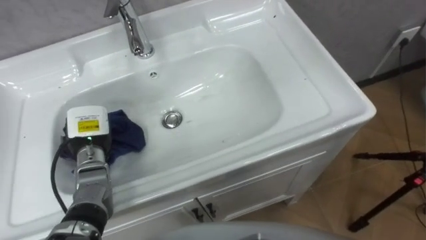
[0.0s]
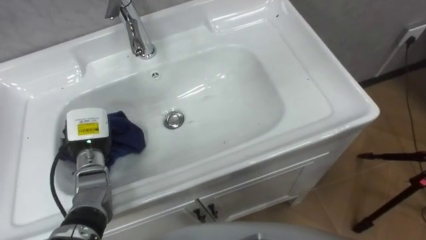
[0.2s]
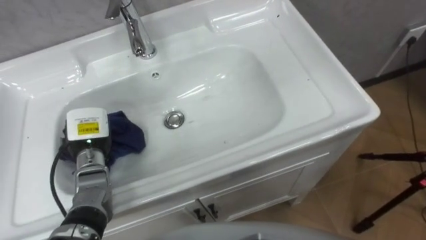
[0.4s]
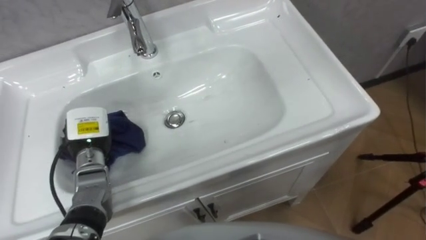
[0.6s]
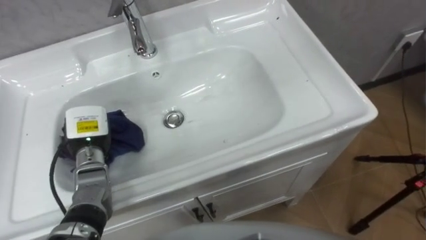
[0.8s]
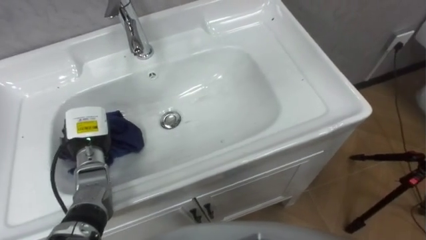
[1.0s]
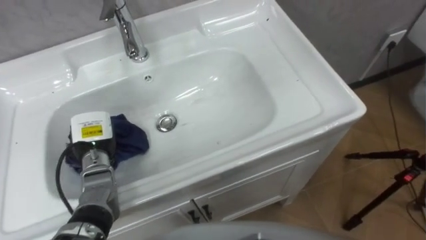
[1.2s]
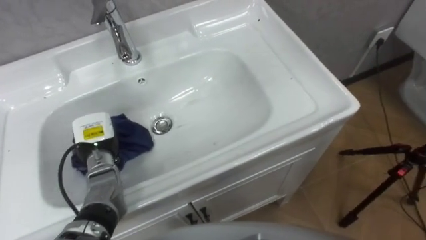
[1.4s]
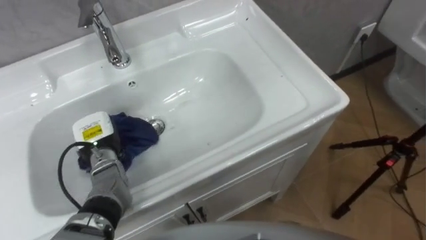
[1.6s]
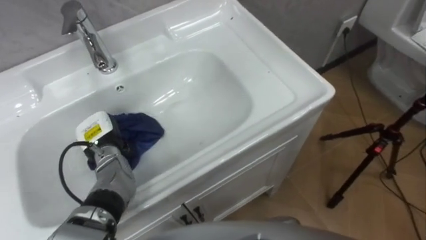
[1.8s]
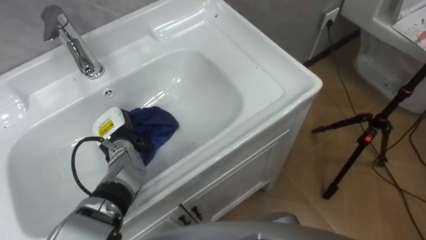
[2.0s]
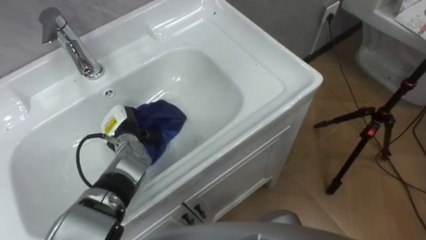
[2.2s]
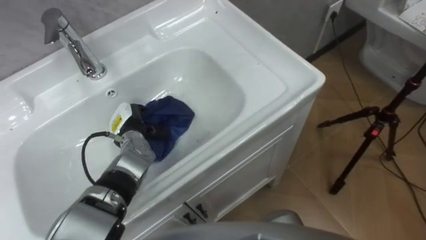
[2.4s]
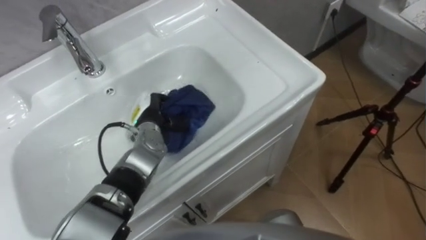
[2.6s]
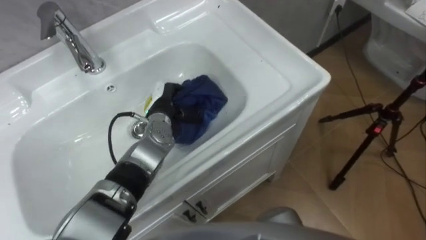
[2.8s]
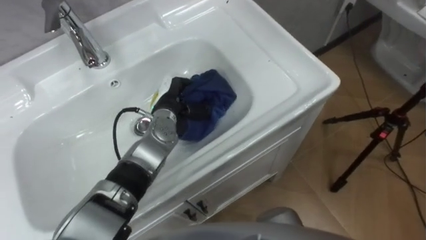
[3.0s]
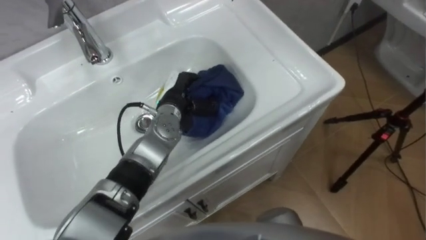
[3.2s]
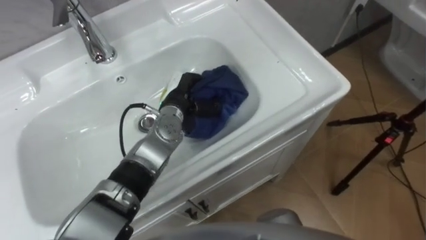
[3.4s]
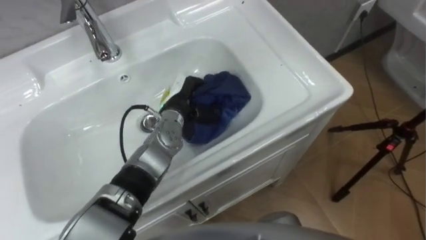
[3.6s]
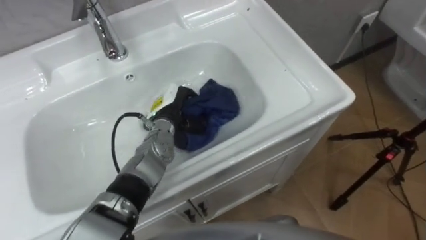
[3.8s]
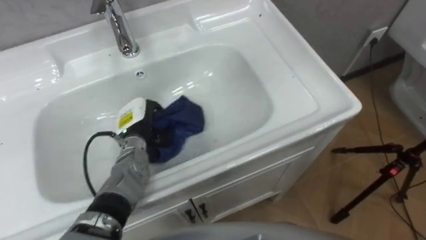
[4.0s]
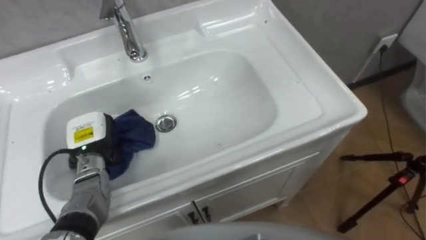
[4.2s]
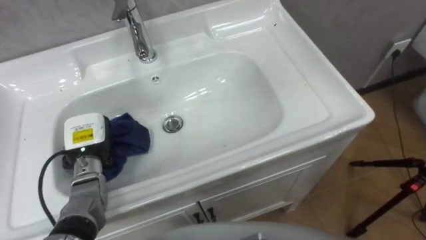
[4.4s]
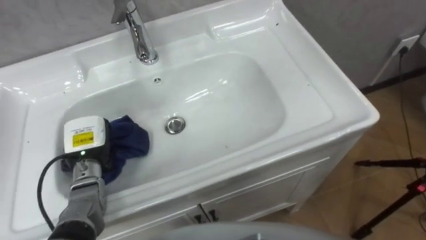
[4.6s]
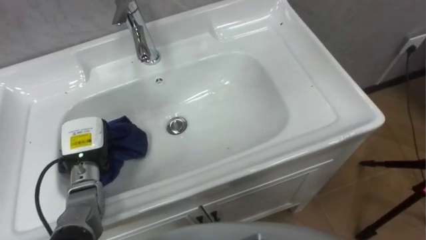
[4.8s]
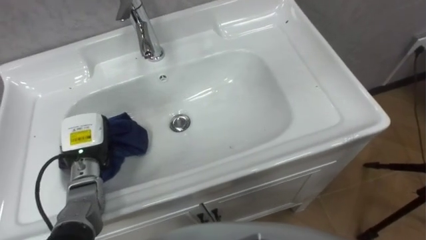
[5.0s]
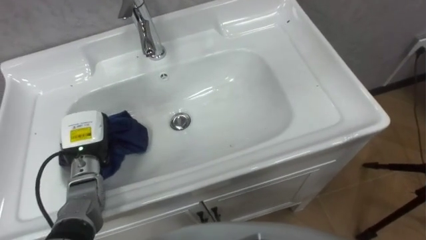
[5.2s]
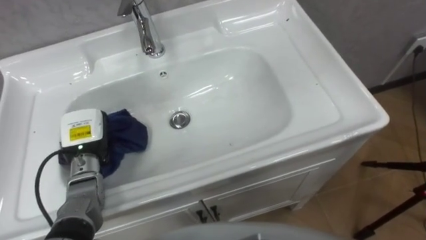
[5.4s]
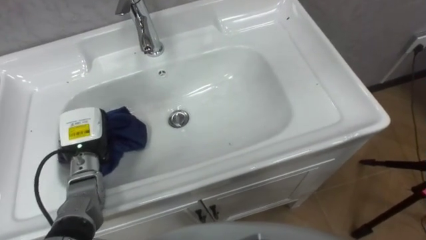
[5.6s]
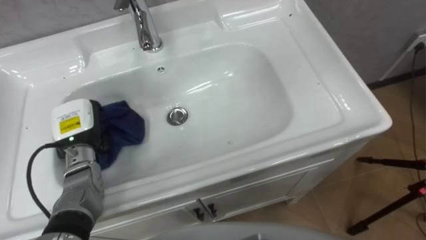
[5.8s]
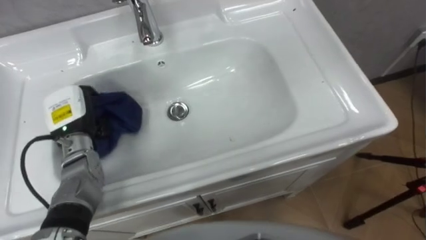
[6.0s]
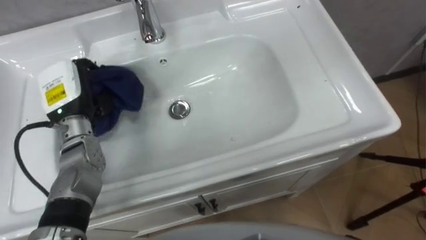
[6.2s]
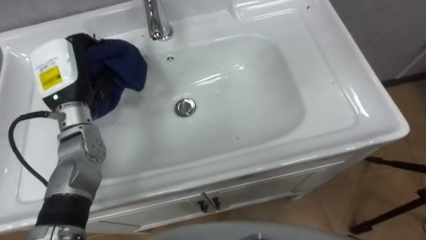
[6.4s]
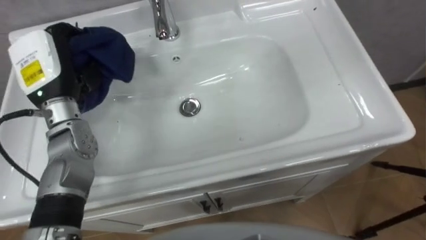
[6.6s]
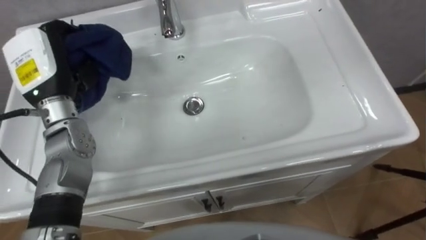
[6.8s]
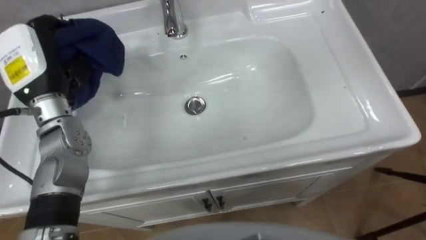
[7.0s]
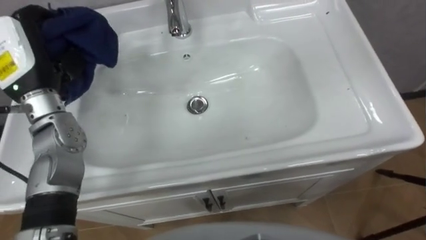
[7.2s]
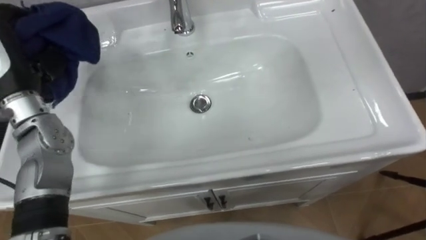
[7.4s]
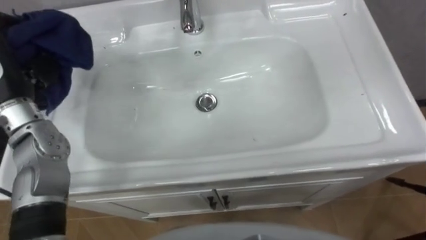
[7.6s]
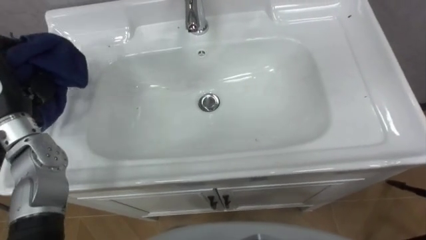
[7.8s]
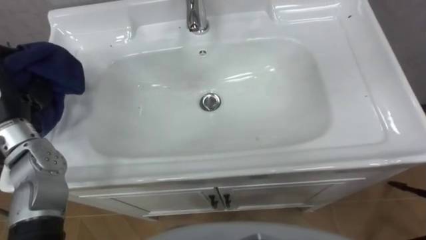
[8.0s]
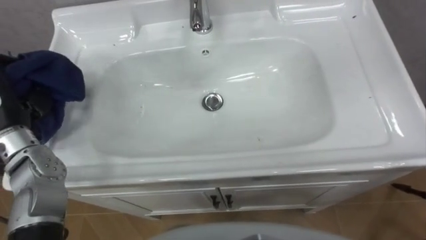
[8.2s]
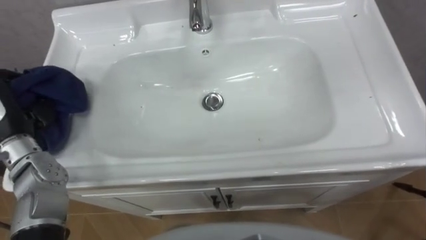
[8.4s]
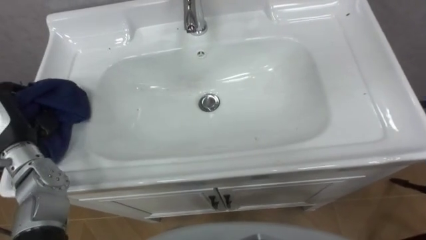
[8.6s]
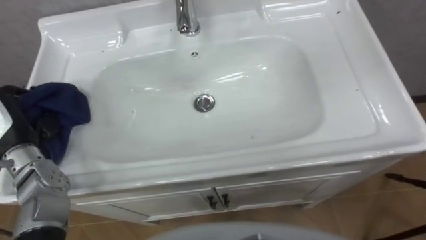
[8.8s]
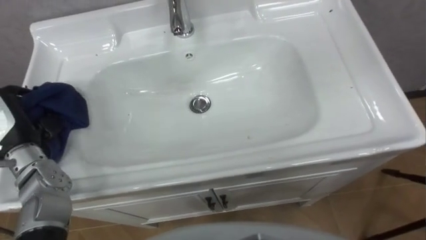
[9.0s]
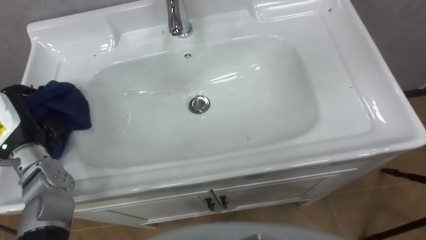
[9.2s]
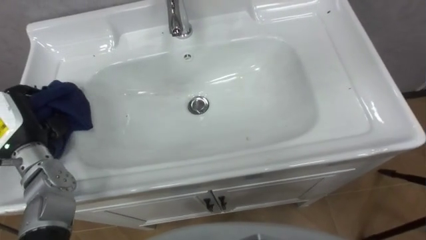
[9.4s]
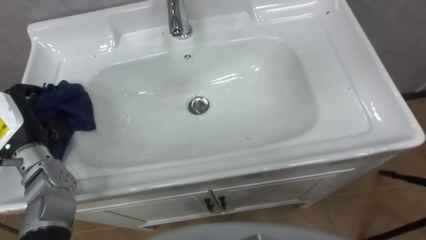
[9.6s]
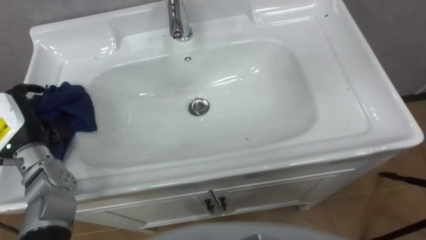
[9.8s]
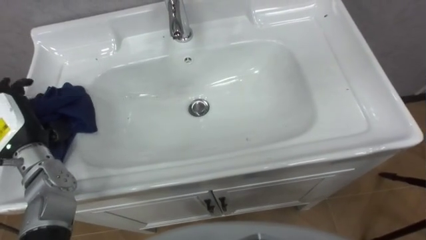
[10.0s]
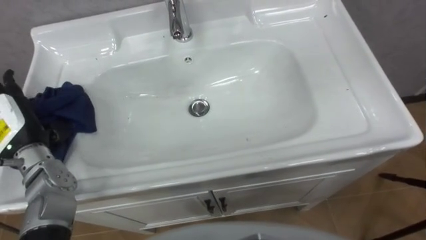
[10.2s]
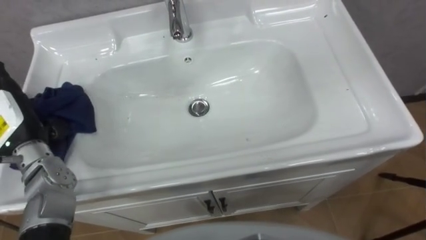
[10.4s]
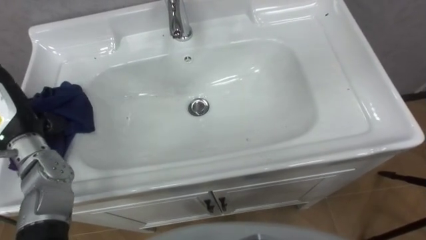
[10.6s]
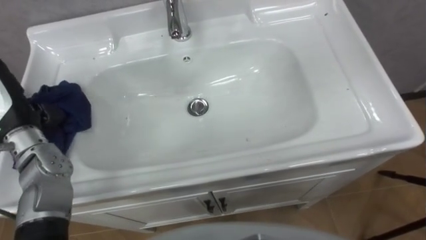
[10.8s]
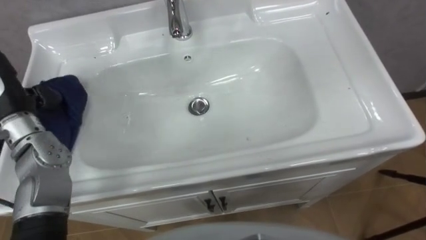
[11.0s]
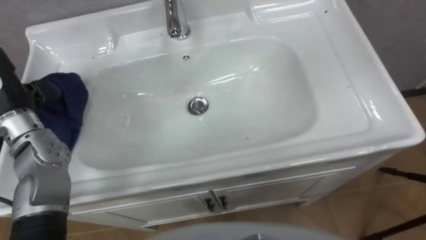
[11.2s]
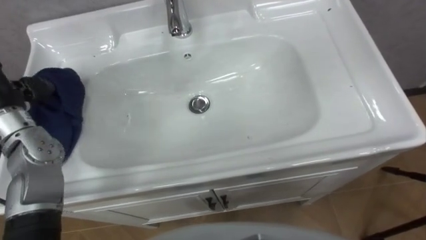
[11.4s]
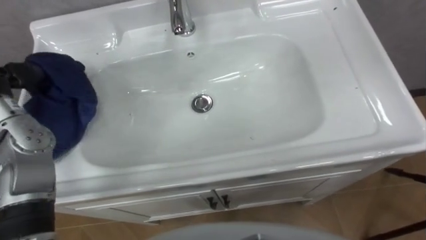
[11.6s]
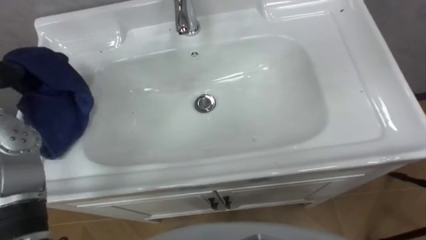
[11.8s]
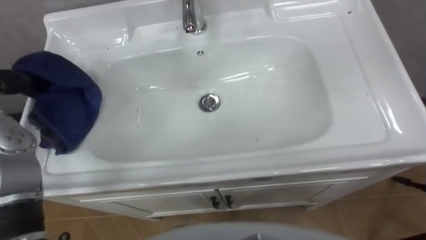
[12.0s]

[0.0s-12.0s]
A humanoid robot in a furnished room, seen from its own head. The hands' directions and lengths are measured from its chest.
Task of the whole recording: Use the cloth on the right to wipe away the black stain in the sink.
1.6s to 3.0s: The left hand moves to the right and forward, approximately 15 cm.
3.0s to 4.4s: The left hand goes roughly 20 cm to the left and backward.
4.4s to 6.0s: The left hand moves upward, about 5 cm.

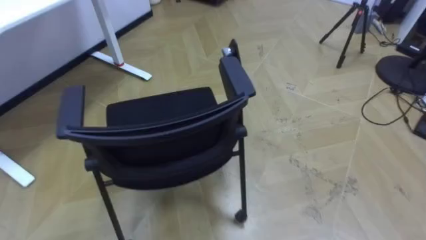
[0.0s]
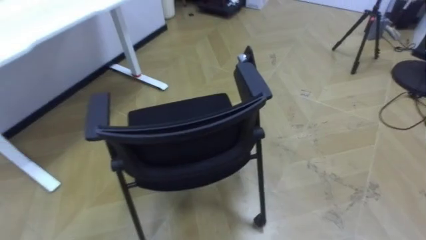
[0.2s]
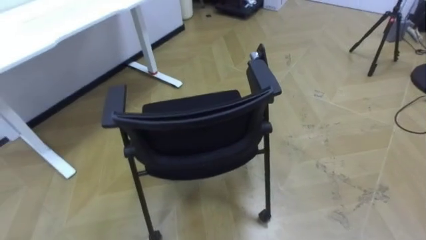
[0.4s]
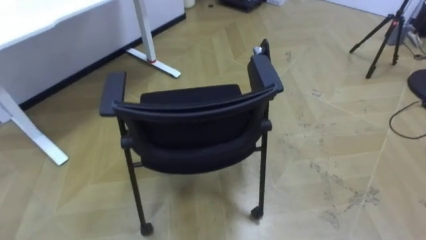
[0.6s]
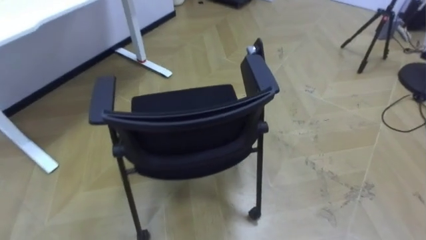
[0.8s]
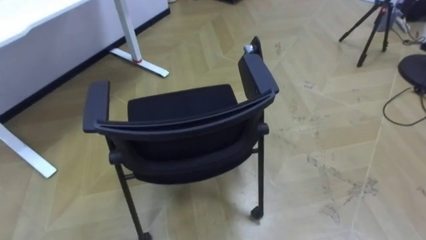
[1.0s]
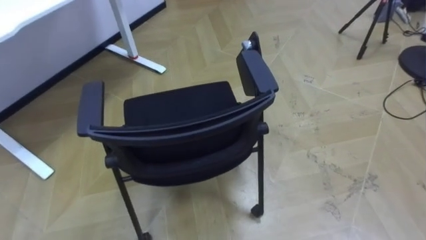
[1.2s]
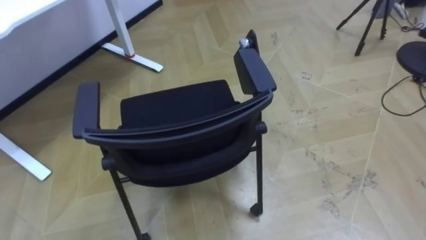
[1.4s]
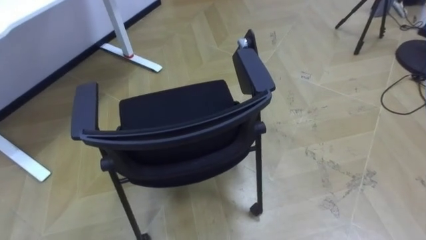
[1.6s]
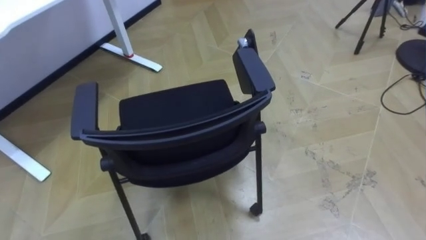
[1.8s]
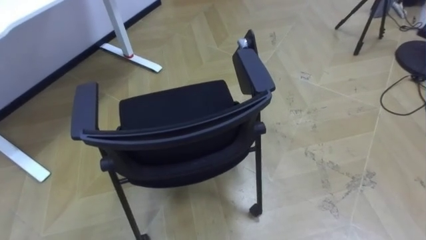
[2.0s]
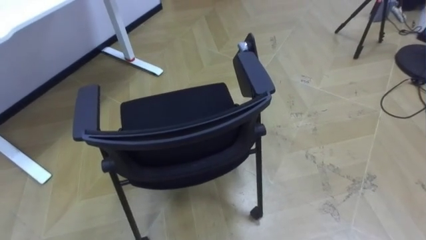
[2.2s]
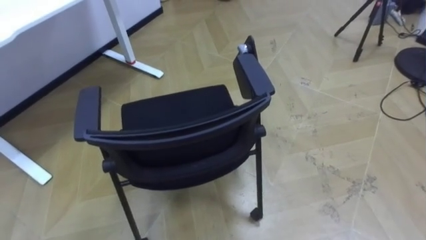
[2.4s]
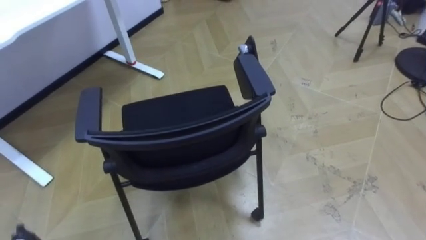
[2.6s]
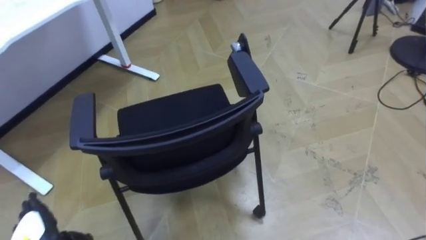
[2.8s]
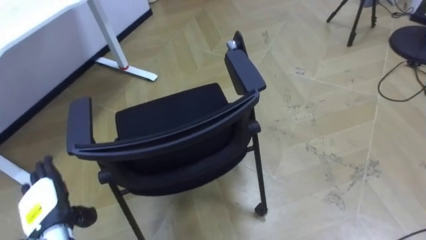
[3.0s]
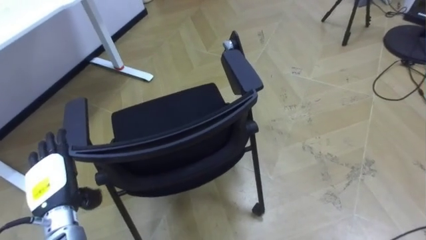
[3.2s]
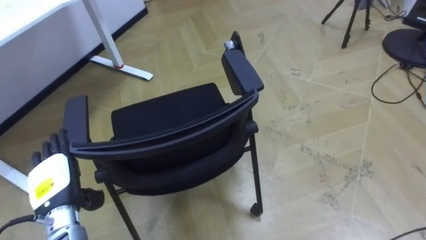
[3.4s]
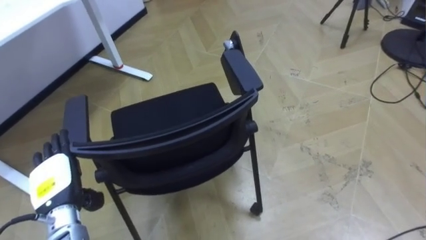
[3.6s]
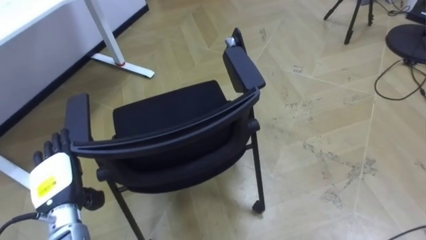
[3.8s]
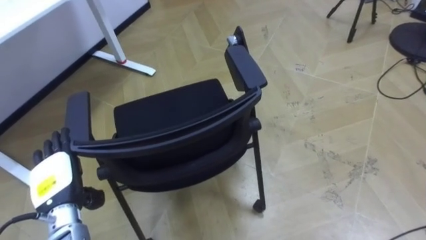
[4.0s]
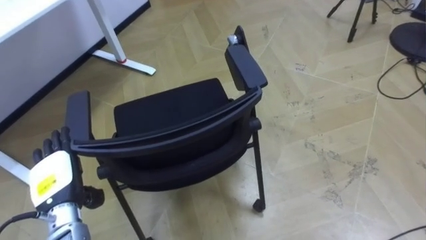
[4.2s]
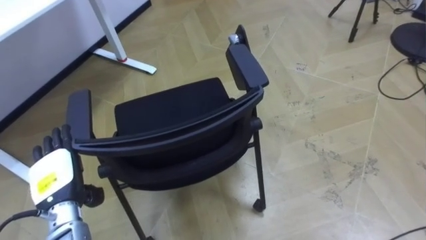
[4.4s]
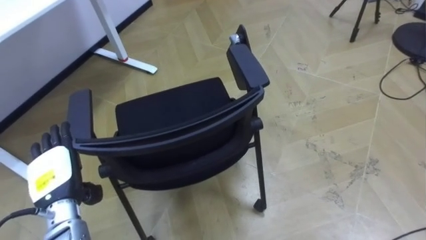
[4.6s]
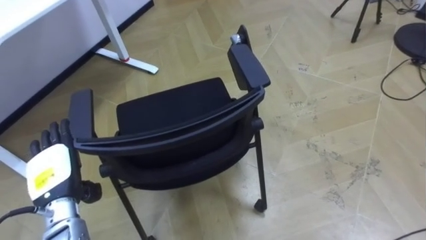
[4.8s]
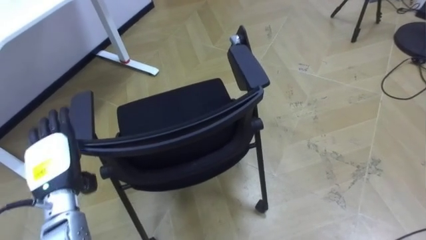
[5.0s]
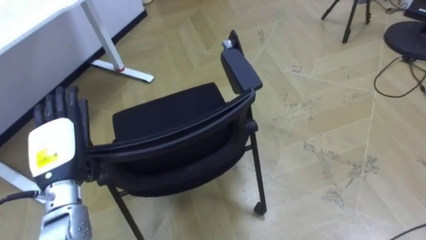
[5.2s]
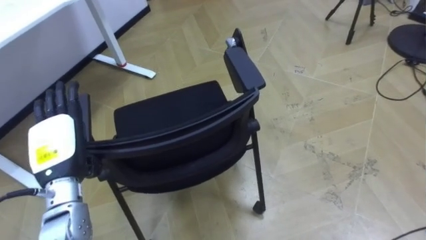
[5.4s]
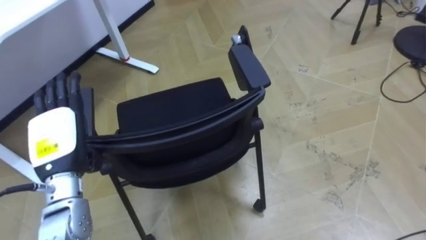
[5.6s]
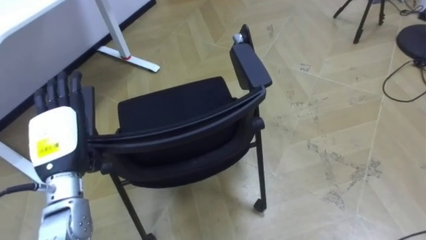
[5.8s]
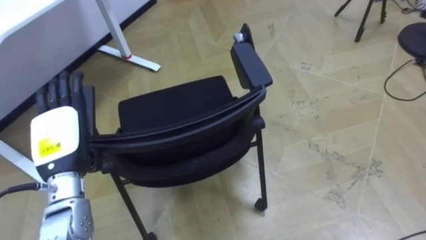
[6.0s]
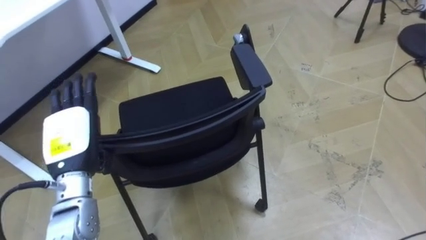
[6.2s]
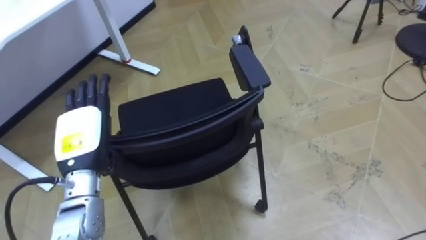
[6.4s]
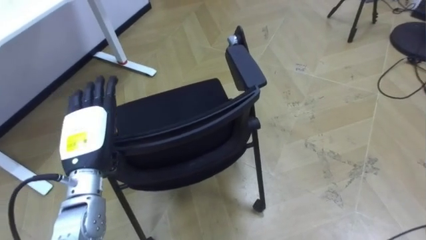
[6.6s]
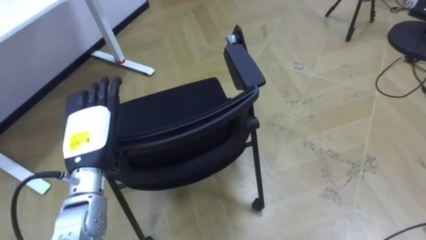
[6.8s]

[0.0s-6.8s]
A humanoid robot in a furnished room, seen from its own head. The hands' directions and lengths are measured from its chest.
Task of the whole recording: Push the chair under the table.
2.8s to 4.0s: The left hand travels forward and upward by roughly 10 cm.
4.0s to 5.4s: The left hand shifts approximately 10 cm upward.
5.4s to 6.8s: The left hand travels to the right by some 5 cm.
